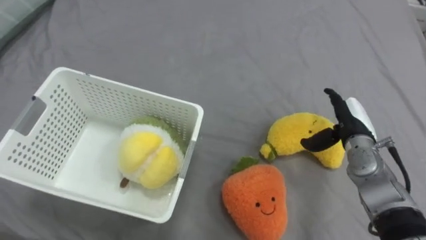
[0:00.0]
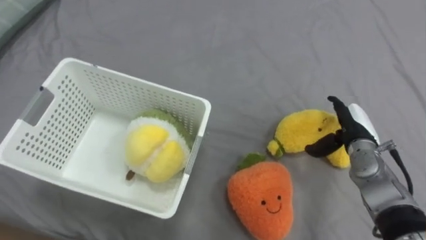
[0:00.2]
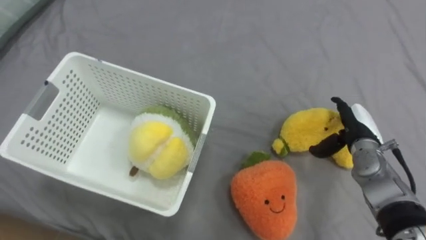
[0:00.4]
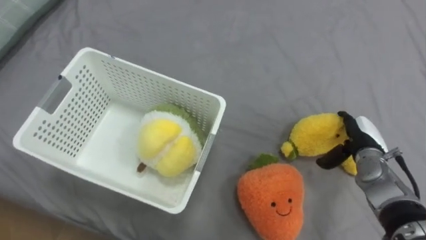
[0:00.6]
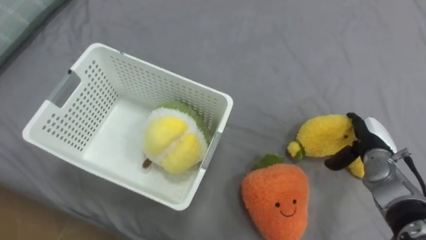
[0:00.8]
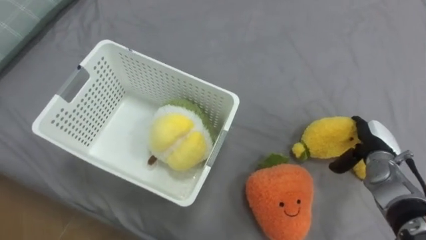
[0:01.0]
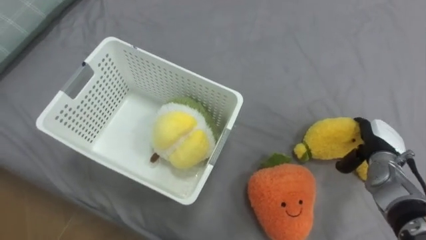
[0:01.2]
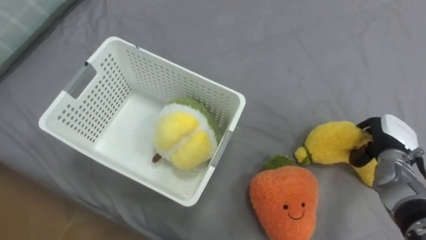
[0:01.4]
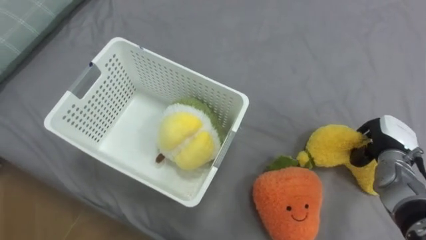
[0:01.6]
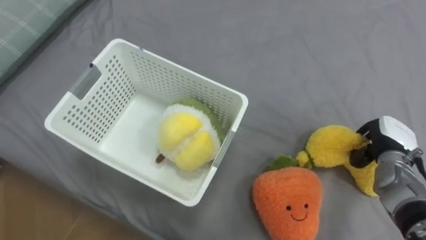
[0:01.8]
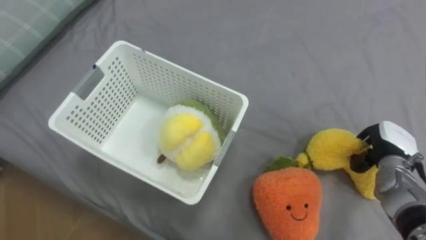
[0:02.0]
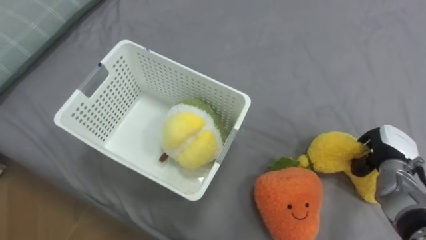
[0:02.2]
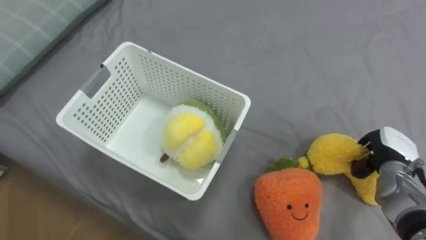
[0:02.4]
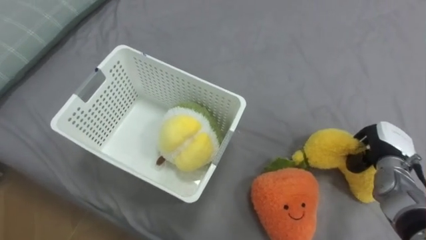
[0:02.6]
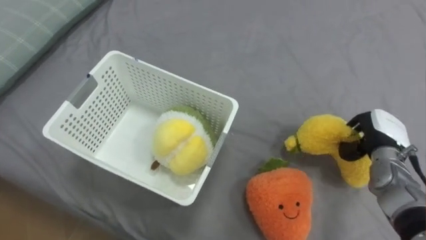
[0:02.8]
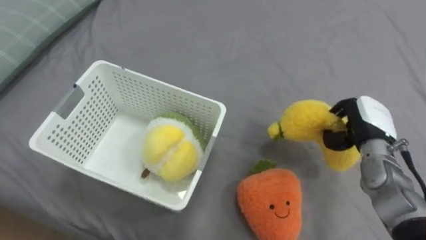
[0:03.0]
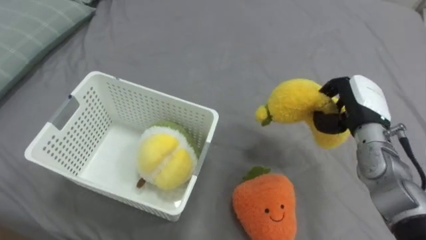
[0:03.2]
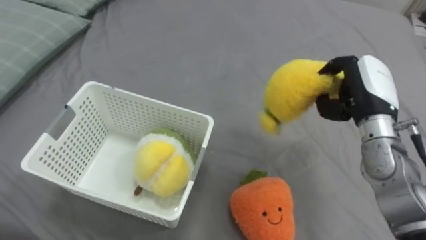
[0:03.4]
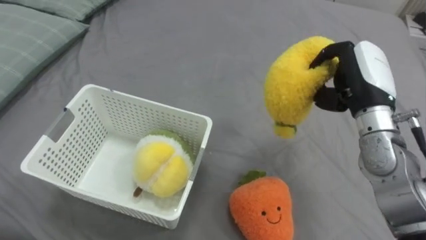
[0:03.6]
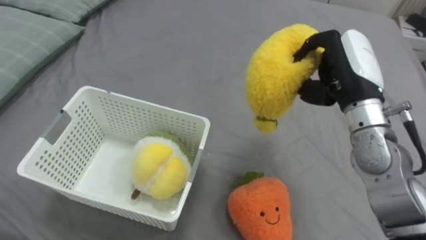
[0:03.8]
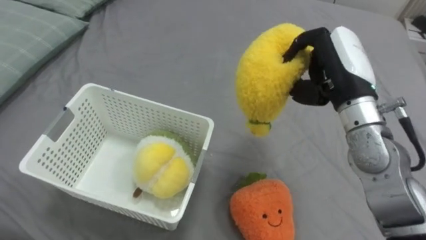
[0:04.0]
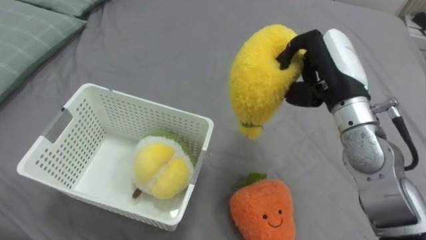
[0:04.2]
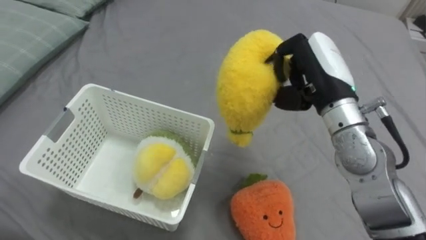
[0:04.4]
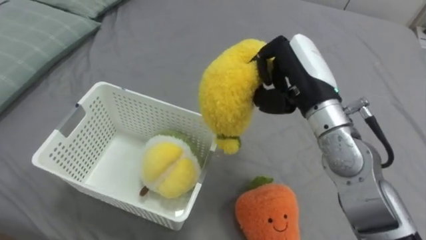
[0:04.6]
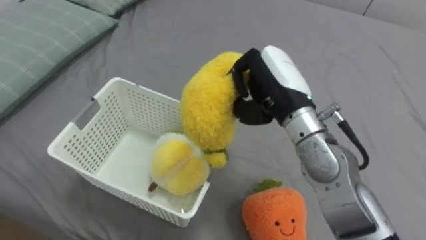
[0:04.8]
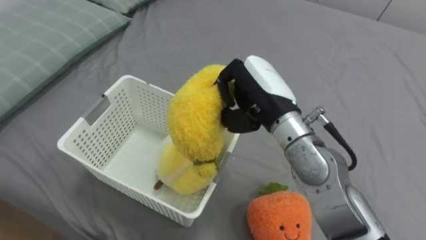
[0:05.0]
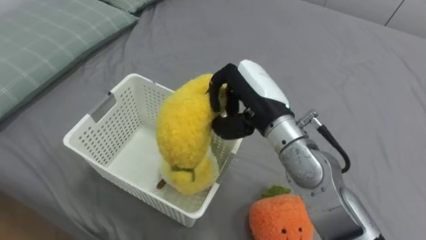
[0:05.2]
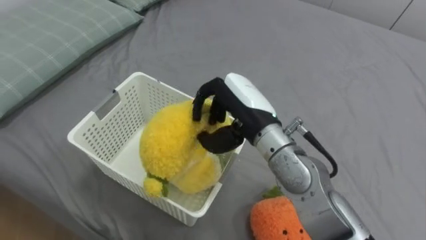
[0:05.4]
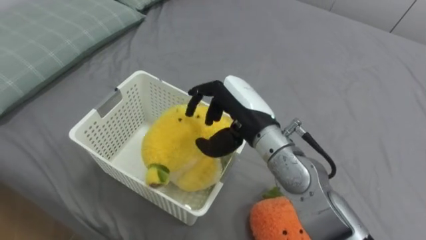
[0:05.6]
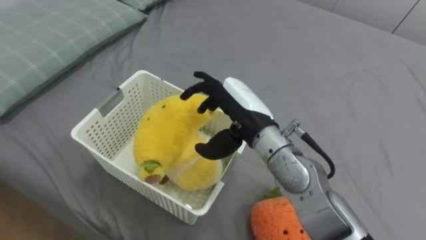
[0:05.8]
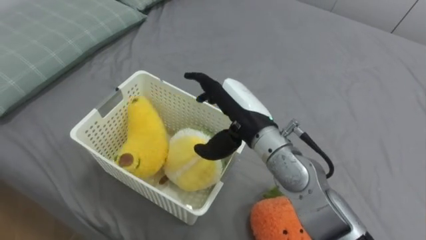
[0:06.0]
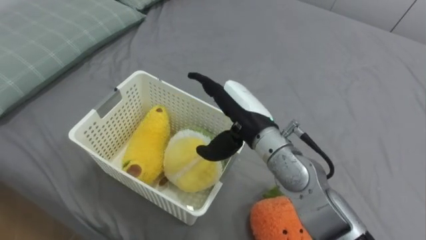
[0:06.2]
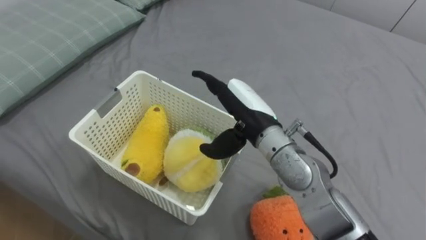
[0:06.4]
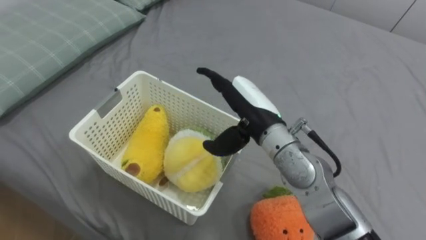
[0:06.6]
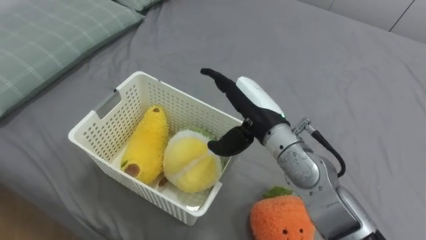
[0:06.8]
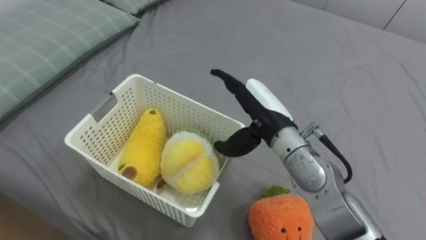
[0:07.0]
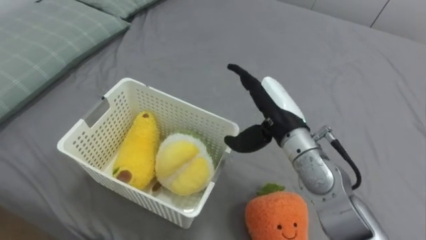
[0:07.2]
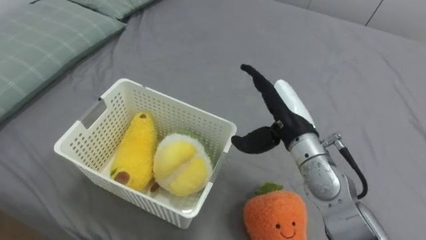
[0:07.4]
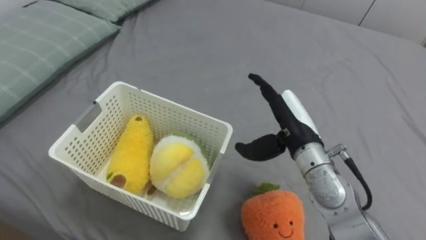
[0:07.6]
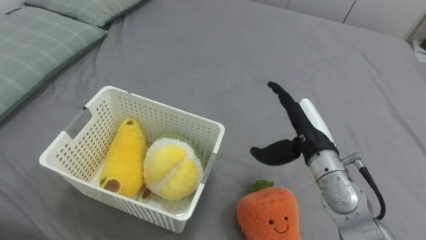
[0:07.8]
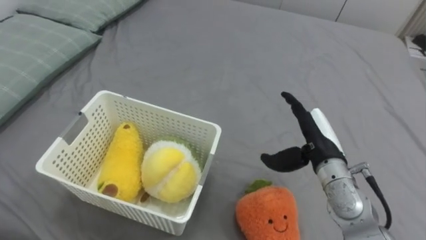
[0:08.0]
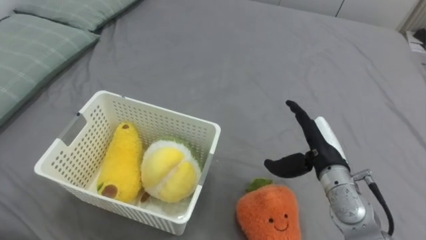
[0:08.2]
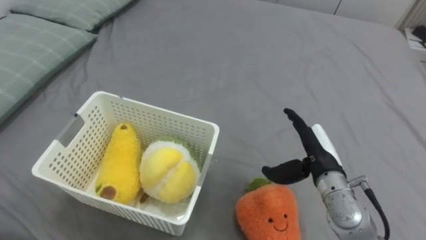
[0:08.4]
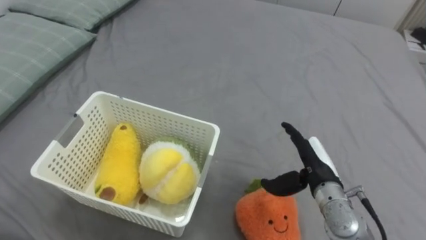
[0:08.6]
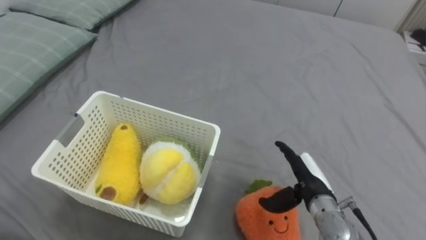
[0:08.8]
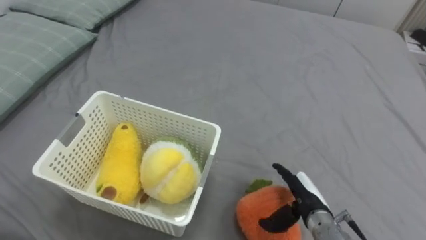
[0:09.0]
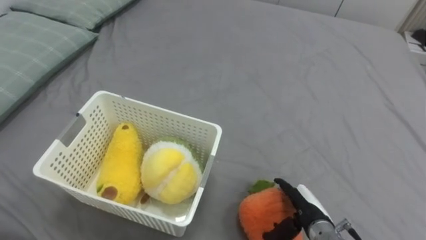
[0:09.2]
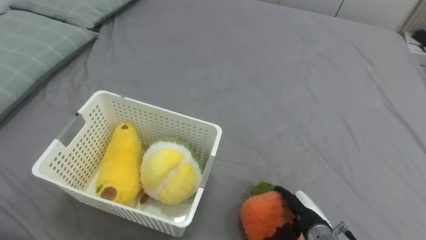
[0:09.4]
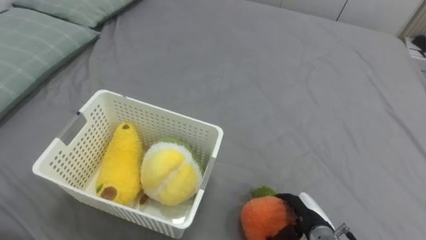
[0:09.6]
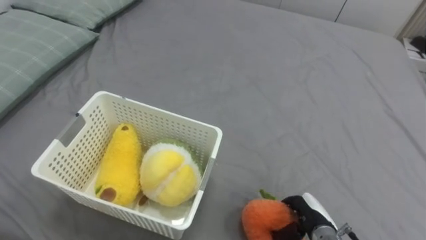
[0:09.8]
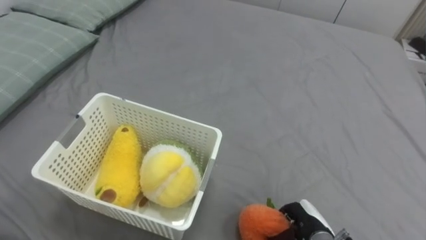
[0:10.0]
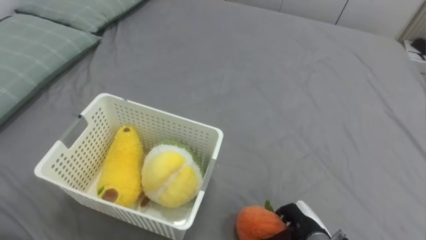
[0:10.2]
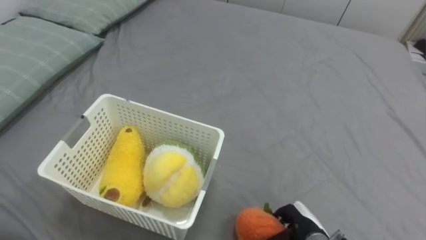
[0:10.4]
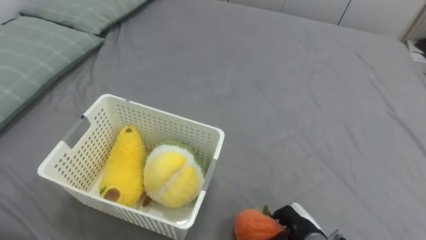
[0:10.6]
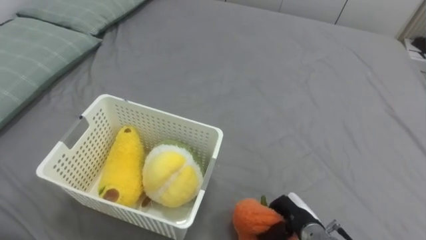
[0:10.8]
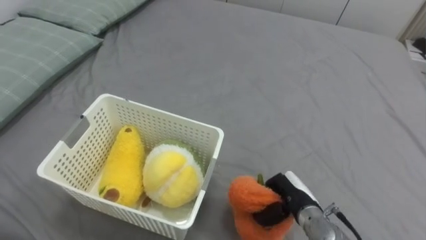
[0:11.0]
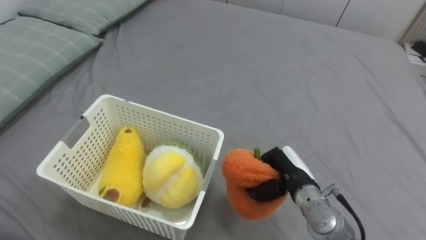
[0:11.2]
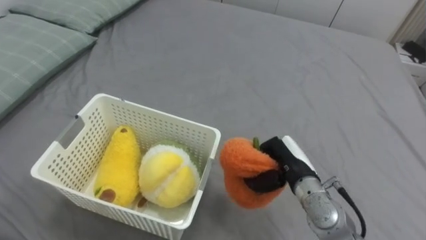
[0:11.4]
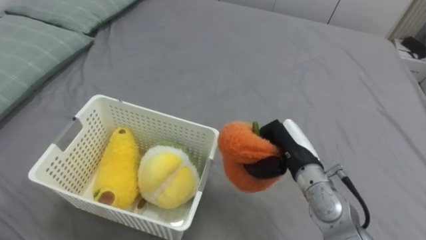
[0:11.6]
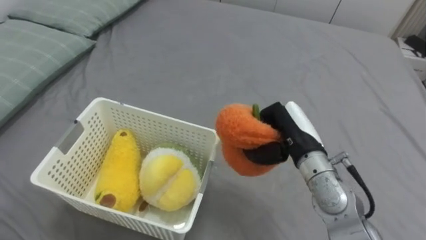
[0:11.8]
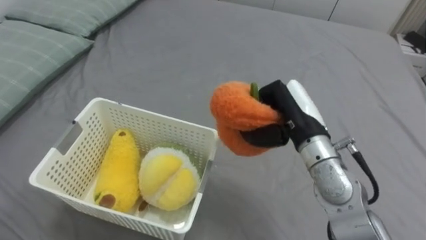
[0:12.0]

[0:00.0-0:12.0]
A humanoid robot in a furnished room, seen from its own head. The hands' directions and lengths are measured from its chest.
Task of the whole recording: Put the toys on the bed into the basket on the left.
0:00.0 to 0:01.6: The right hand travels to the right by some 10 cm, and closes its fingers.
0:01.6 to 0:03.0: The right hand changes place by some 5 cm.
0:03.0 to 0:04.4: The right hand heads upward and to the left, covering about 20 cm.
0:04.4 to 0:06.0: The right hand goes roughly 15 cm to the left and downward, and opens up.
0:06.0 to 0:07.6: The right hand is displaced to the right by about 10 cm.
0:07.6 to 0:09.0: The right hand moves downward and backward, approximately 15 cm.
0:09.0 to 0:10.4: The right hand goes approximately 5 cm downward, and closes its fingers.
0:10.4 to 0:12.0: The right hand shifts roughly 25 cm upward and forward.

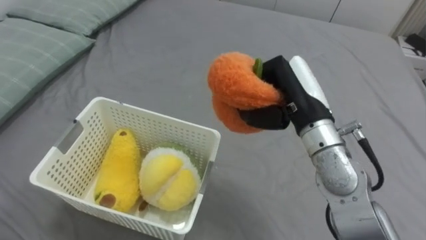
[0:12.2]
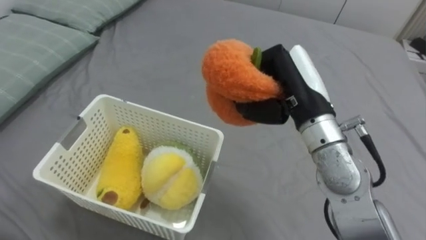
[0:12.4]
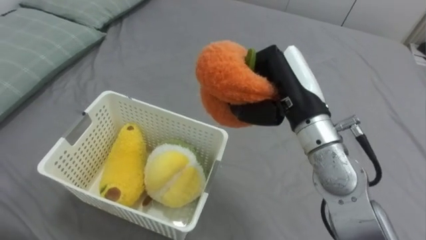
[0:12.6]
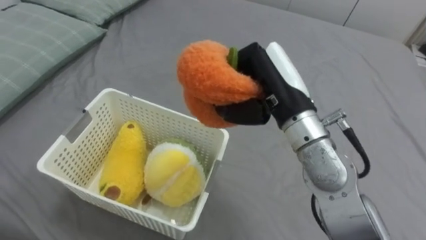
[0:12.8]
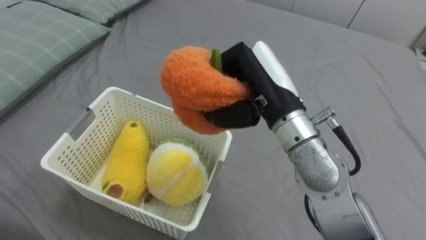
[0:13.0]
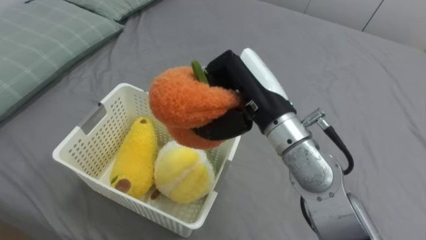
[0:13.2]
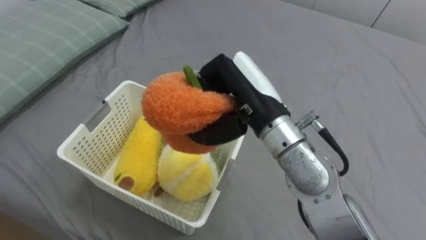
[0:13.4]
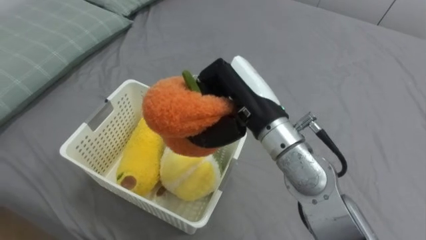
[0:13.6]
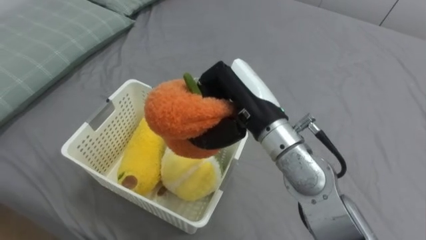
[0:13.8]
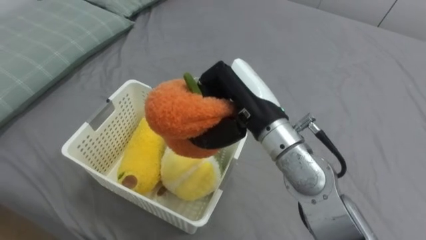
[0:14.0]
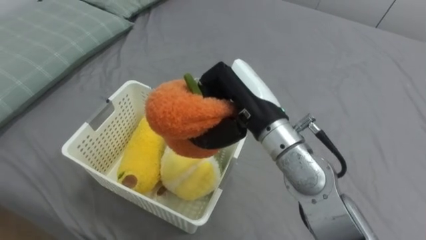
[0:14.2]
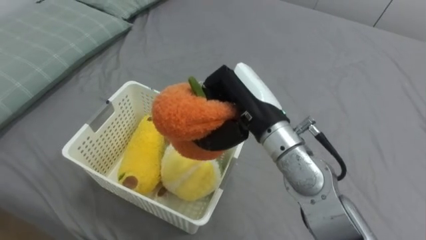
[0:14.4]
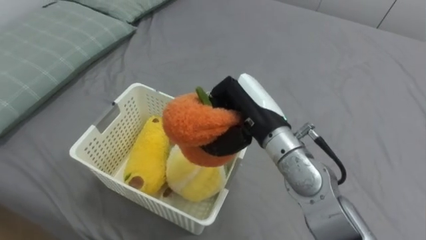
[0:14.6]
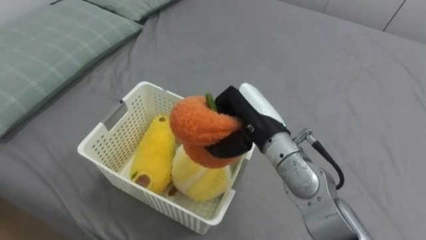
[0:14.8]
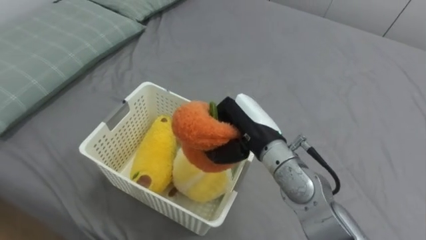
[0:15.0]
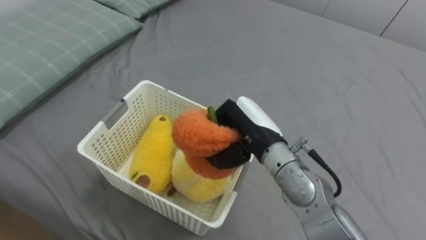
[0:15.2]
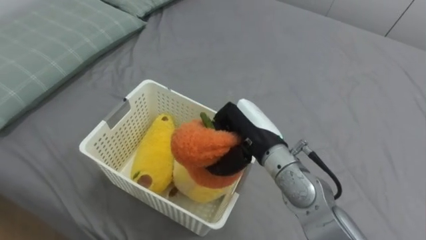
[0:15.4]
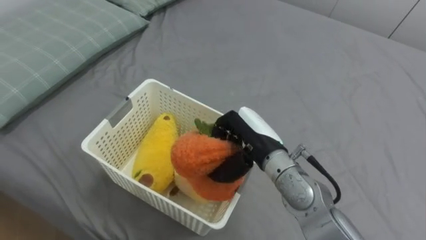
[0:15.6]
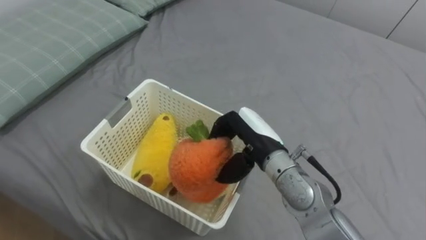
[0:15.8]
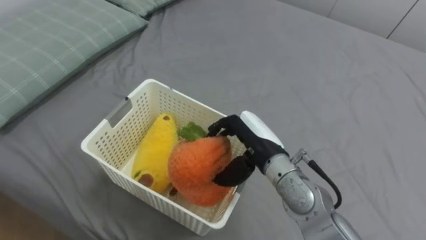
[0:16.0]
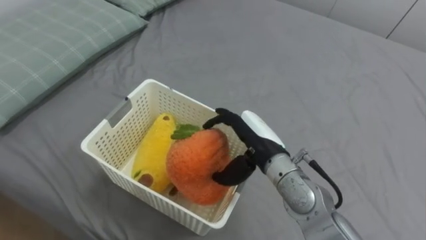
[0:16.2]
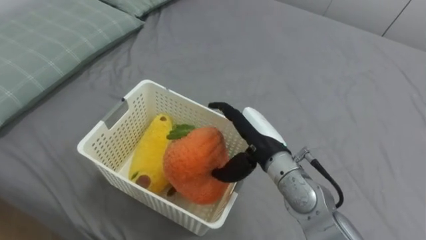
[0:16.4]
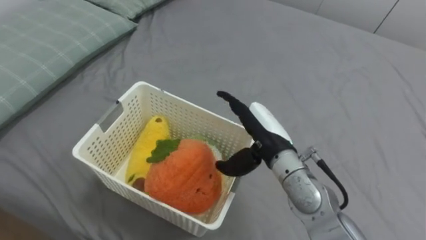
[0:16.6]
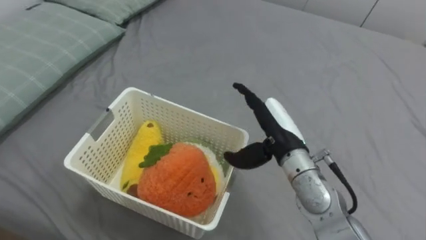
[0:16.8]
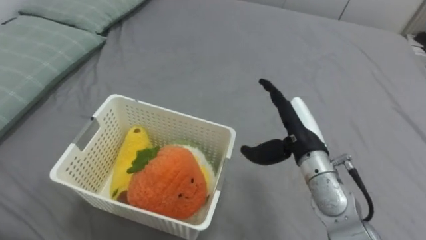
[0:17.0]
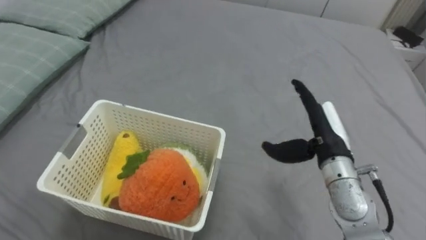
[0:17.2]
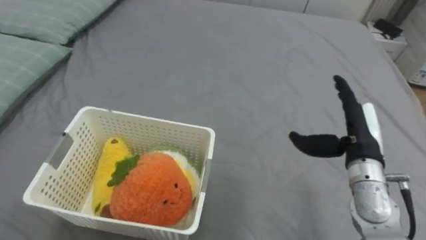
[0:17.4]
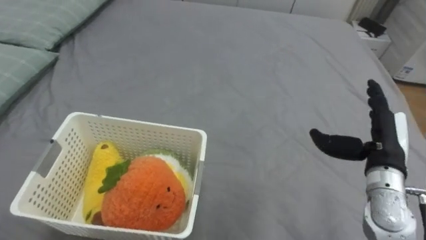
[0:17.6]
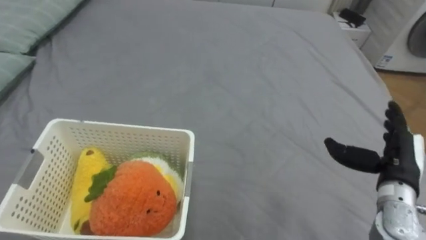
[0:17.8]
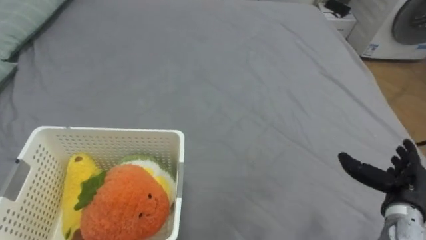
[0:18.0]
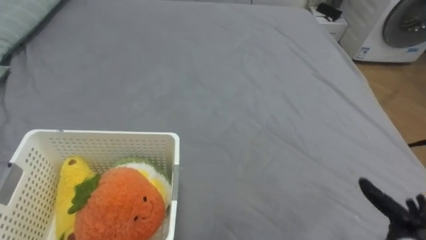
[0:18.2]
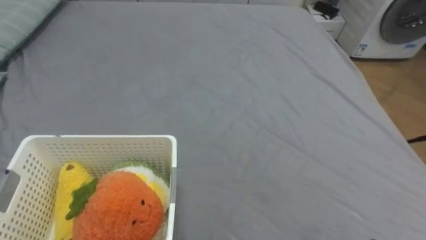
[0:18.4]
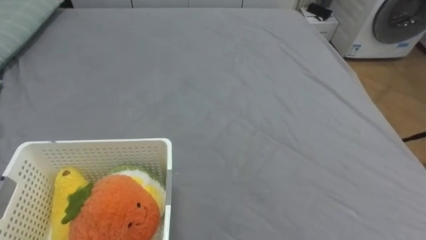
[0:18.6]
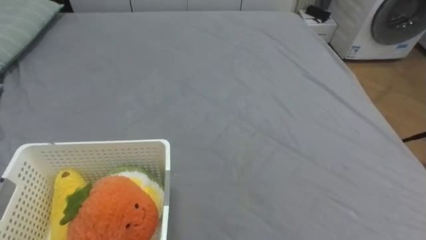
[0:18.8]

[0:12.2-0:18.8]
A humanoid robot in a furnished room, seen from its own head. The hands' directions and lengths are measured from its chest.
Task of the whole recording: Put the toys on the bed into the basket on the left.
0:12.2 to 0:13.8: The right hand goes approximately 10 cm to the left.
0:13.8 to 0:15.4: The right hand heads downward, covering some 10 cm.
0:15.4 to 0:17.2: The right hand goes approximately 10 cm to the right, and opens.
